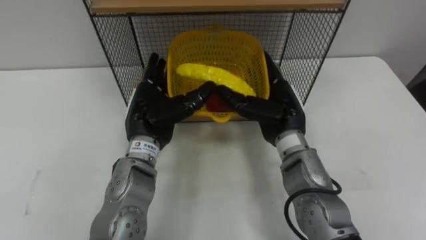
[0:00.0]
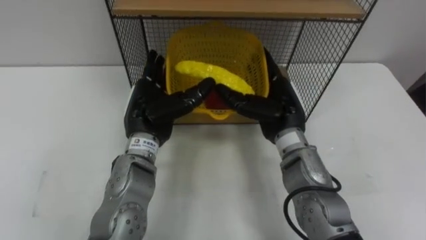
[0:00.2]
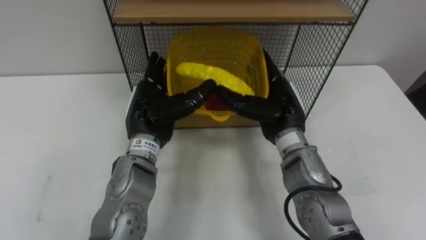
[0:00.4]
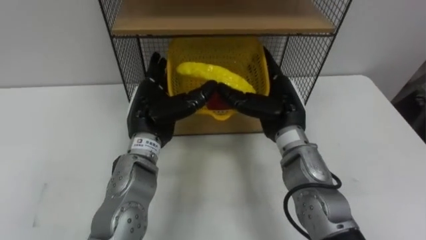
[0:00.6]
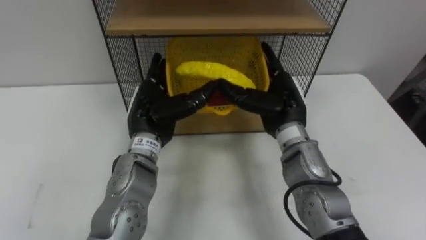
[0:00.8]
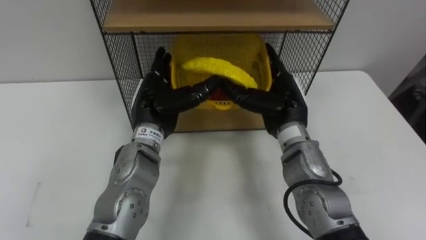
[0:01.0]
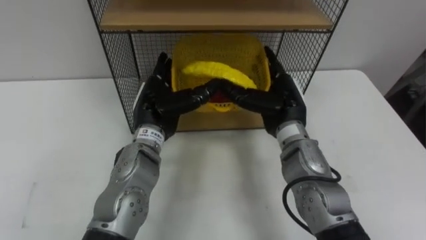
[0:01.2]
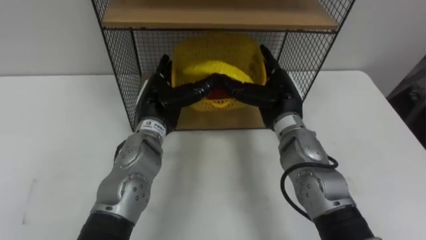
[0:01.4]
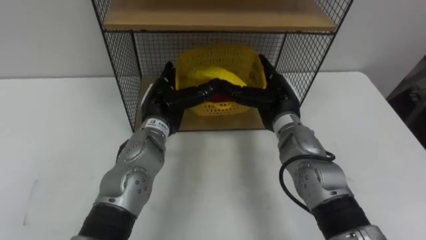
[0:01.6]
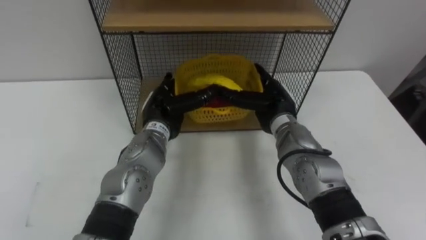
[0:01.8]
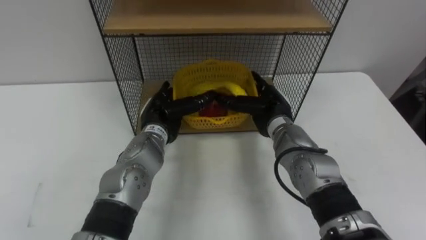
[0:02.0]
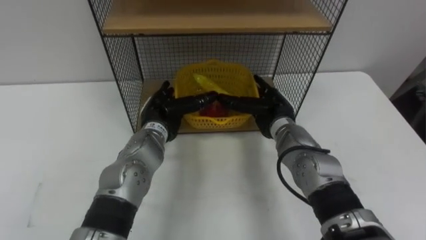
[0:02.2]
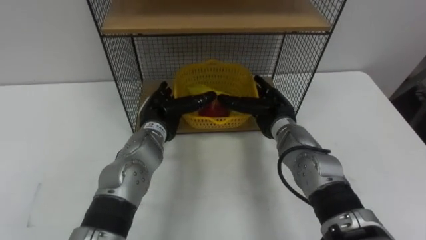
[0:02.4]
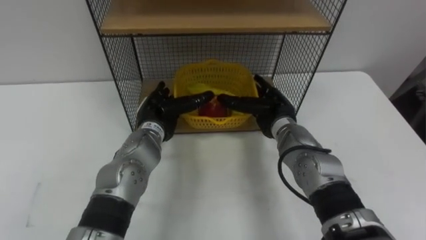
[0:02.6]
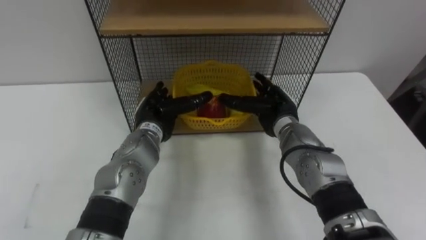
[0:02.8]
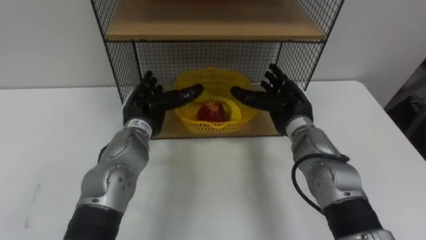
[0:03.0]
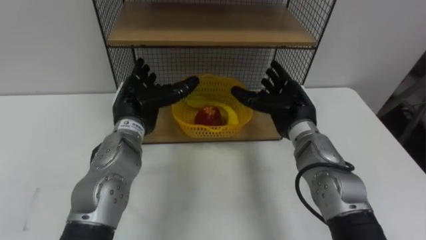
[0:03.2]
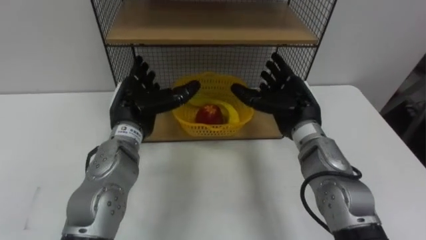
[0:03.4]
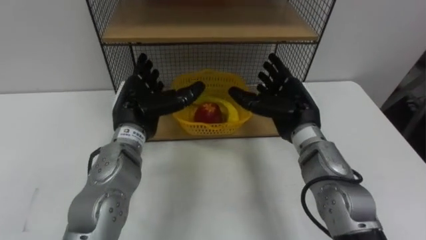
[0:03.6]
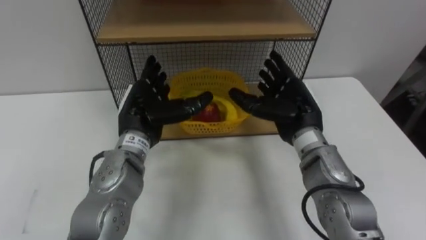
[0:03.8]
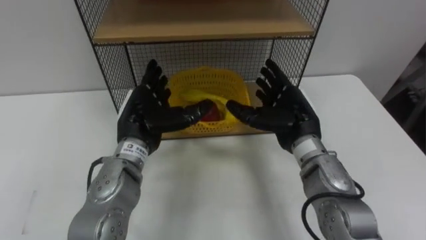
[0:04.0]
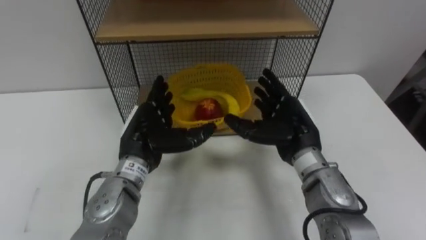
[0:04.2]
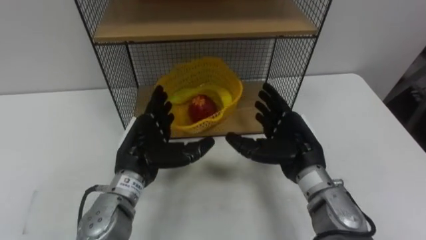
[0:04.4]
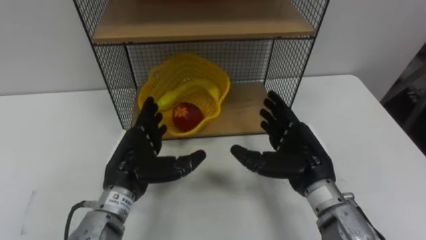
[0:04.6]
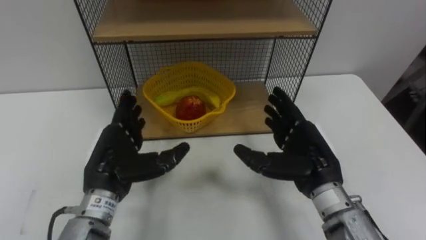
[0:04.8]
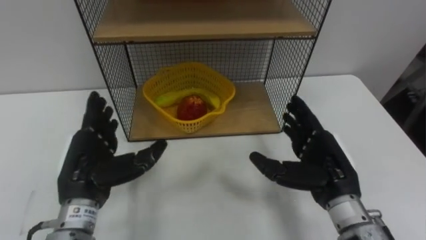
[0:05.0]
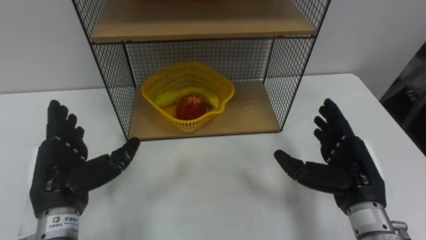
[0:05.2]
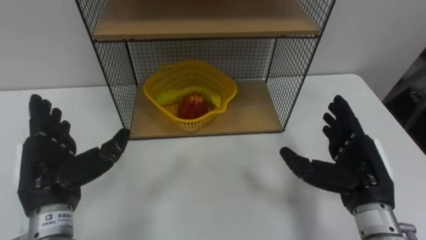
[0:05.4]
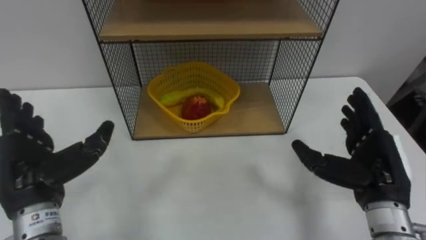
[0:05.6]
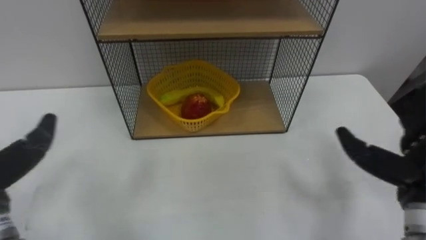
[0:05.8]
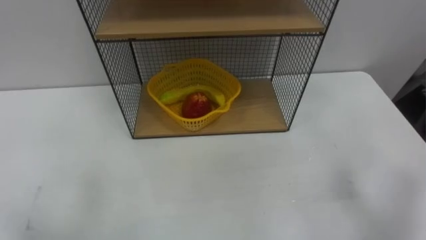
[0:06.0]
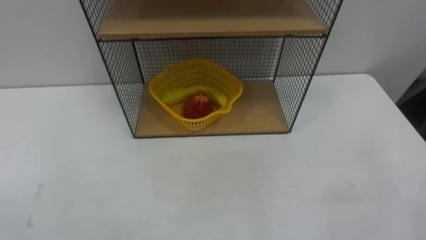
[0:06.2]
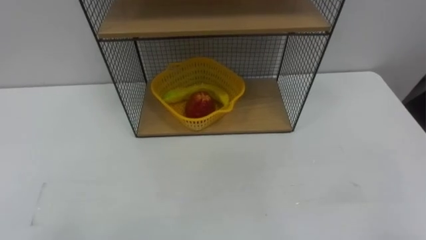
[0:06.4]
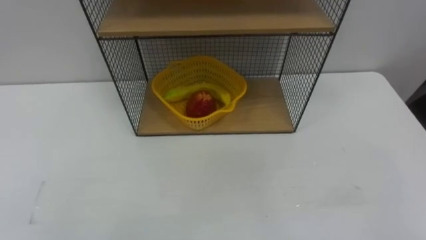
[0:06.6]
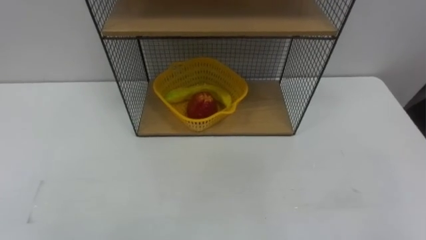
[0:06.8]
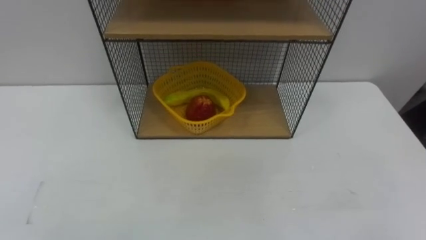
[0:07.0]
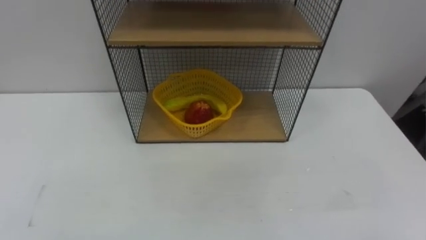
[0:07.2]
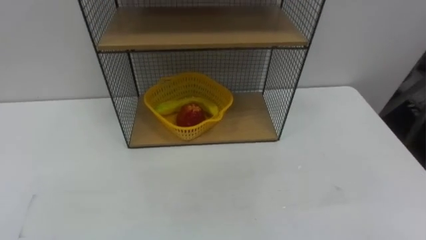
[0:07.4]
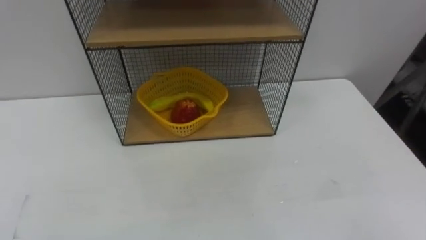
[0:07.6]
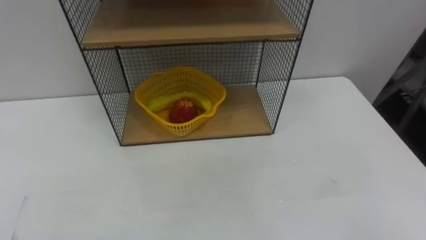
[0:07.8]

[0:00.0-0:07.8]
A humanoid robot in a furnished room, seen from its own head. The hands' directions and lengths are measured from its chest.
Task of the whole recording: Put the fruit on the table into the basket, then place the basket on the shelf.
0:00.0 to 0:01.6: The left hand ends up about 5 cm from where it was.
0:01.6 to 0:03.2: The left hand goes some 5 cm to the left.
0:03.2 to 0:04.6: Both hands move backward, roughly 10 cm.

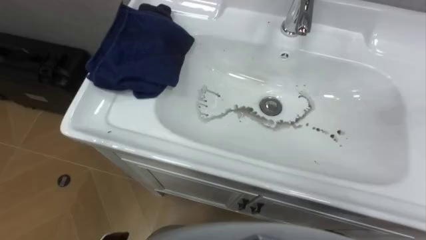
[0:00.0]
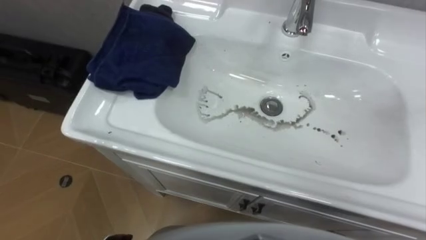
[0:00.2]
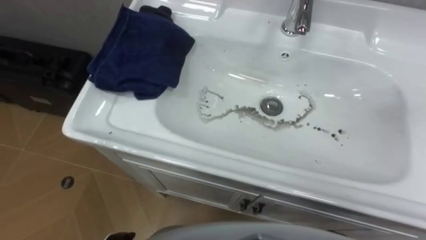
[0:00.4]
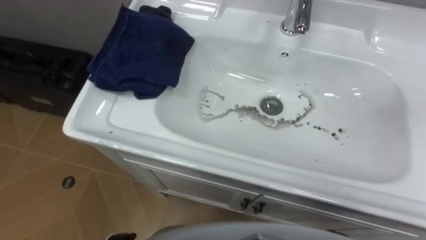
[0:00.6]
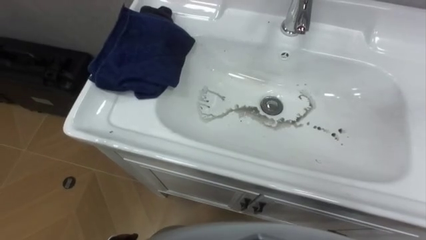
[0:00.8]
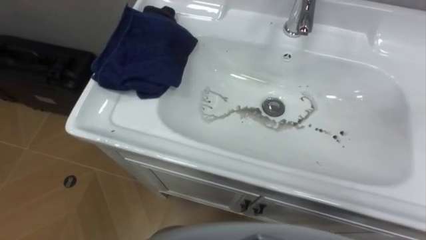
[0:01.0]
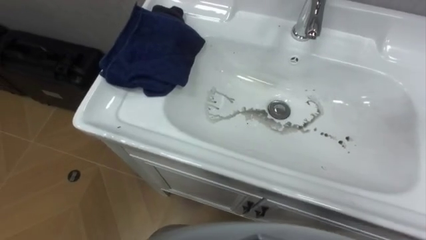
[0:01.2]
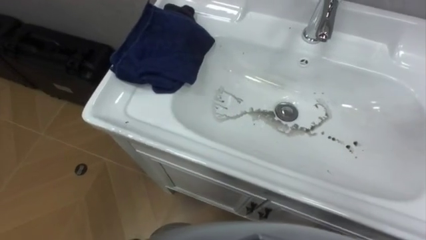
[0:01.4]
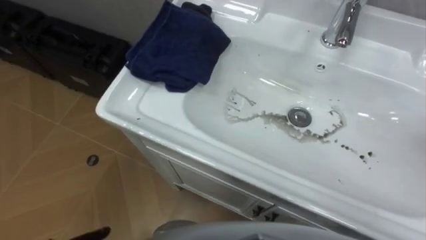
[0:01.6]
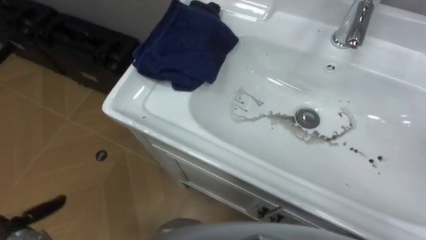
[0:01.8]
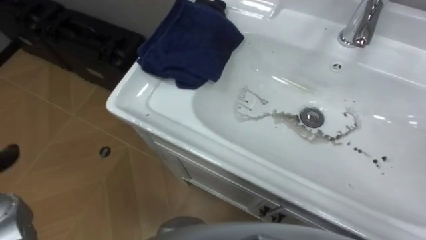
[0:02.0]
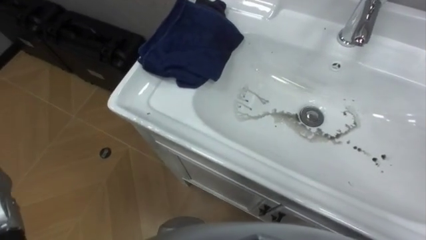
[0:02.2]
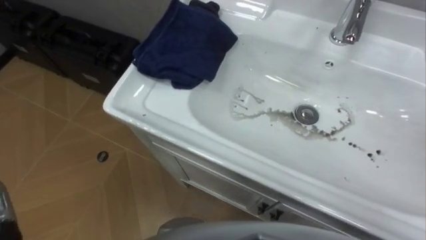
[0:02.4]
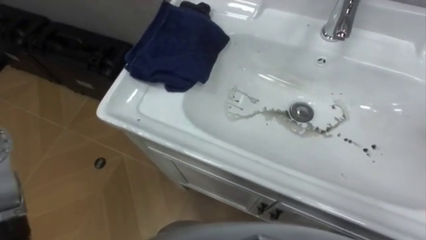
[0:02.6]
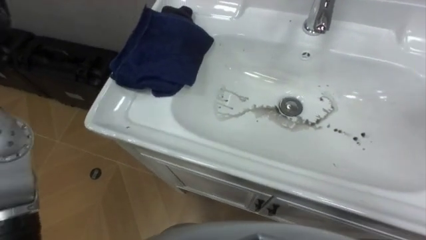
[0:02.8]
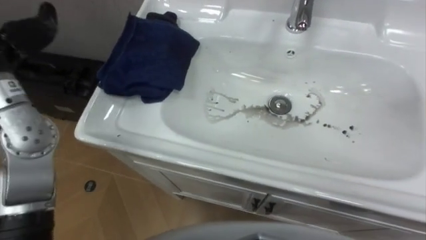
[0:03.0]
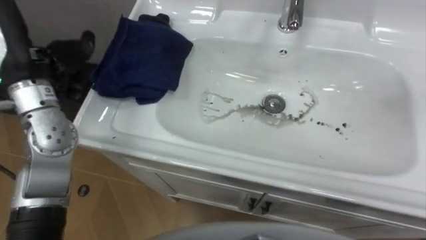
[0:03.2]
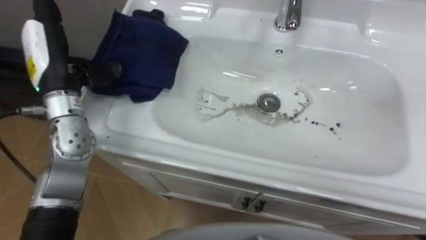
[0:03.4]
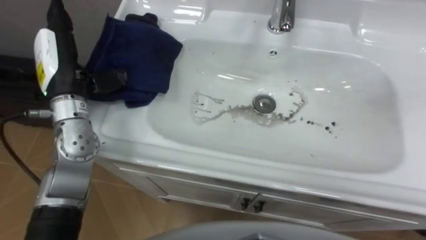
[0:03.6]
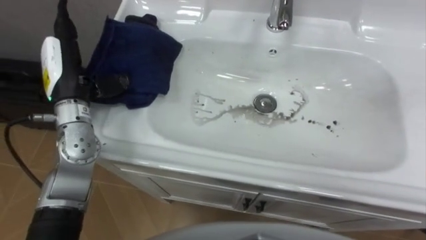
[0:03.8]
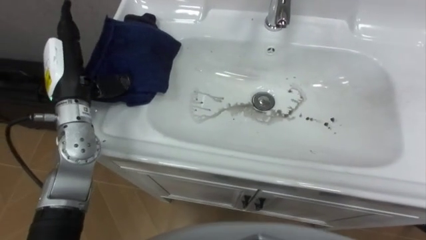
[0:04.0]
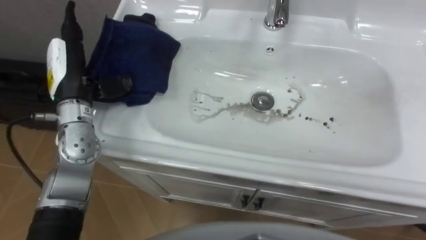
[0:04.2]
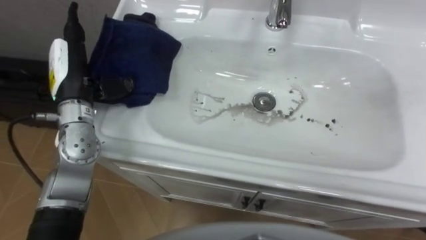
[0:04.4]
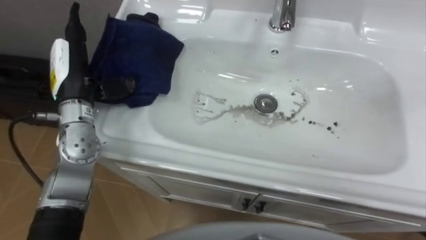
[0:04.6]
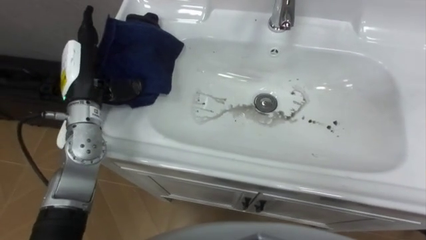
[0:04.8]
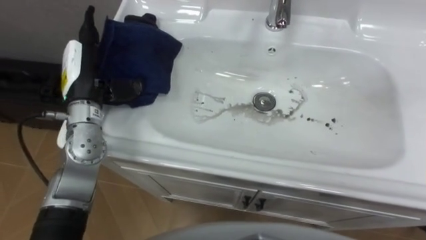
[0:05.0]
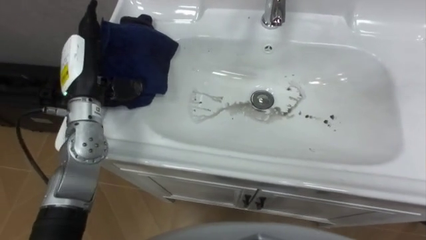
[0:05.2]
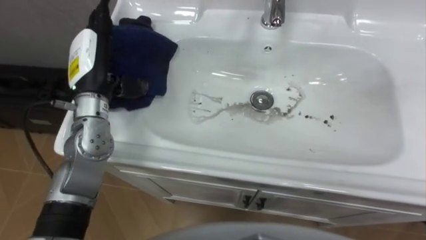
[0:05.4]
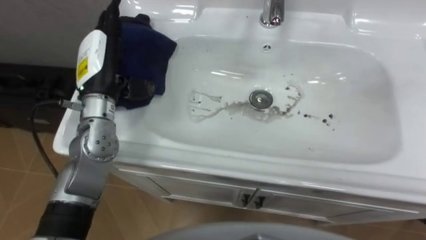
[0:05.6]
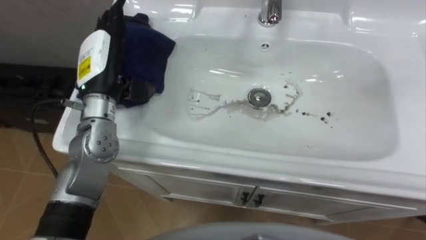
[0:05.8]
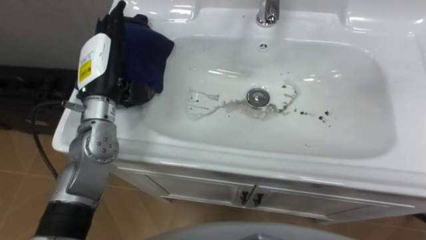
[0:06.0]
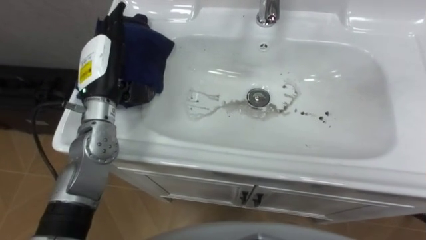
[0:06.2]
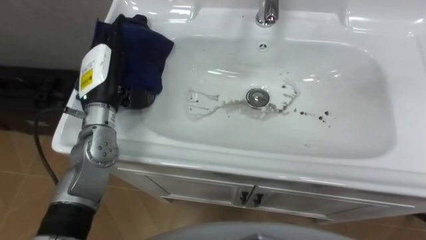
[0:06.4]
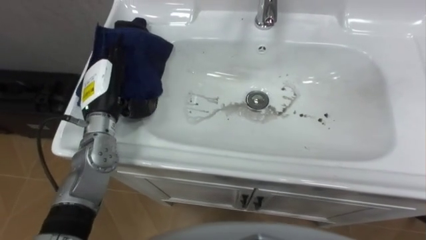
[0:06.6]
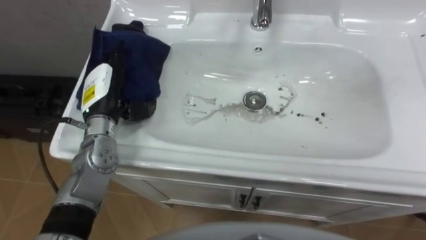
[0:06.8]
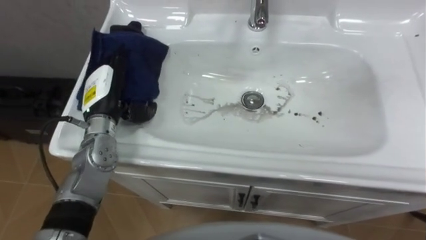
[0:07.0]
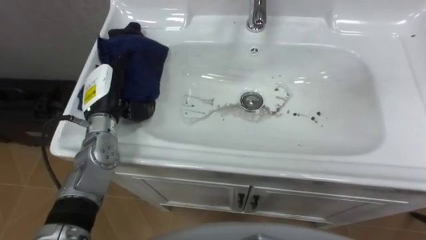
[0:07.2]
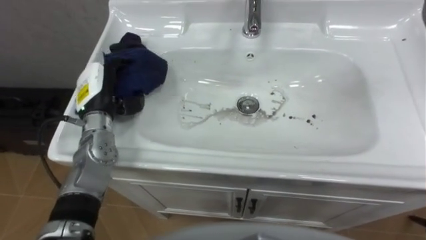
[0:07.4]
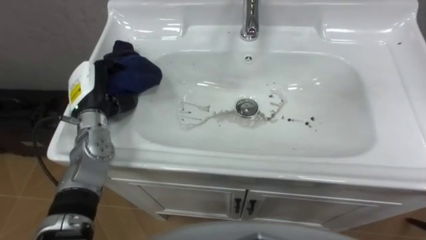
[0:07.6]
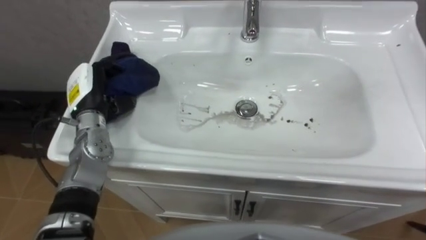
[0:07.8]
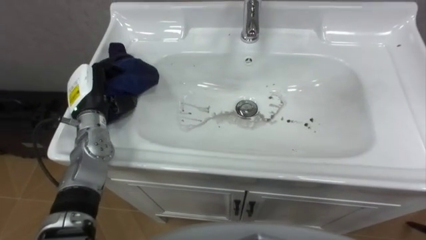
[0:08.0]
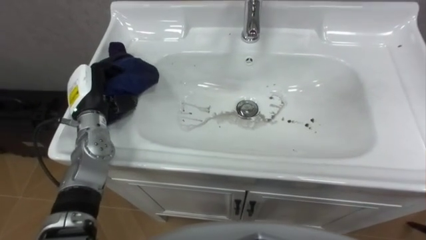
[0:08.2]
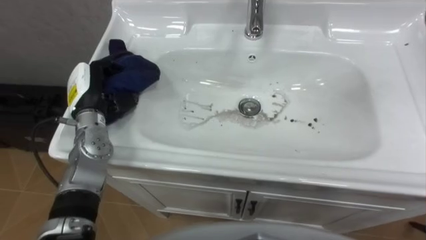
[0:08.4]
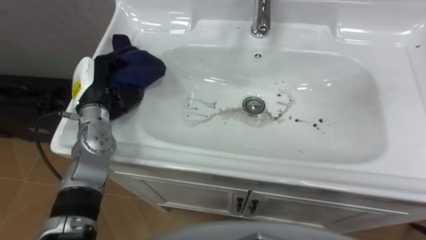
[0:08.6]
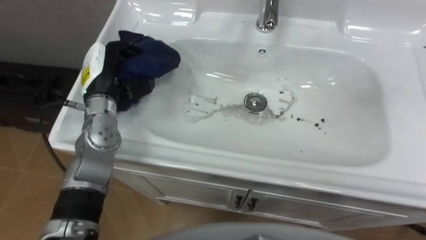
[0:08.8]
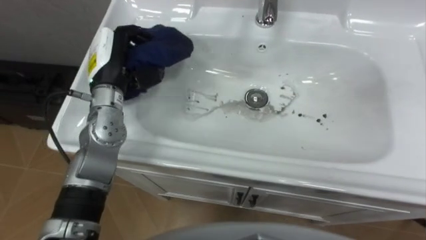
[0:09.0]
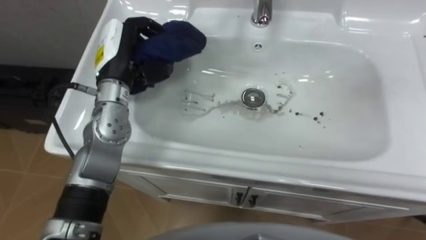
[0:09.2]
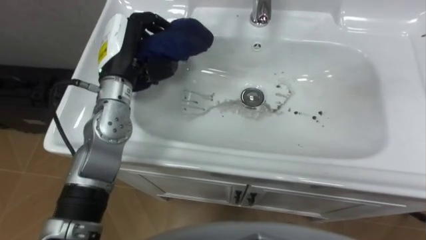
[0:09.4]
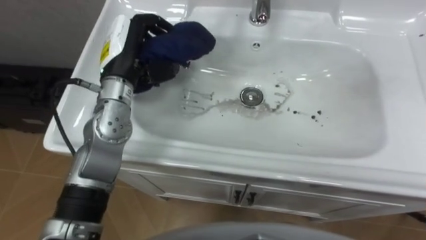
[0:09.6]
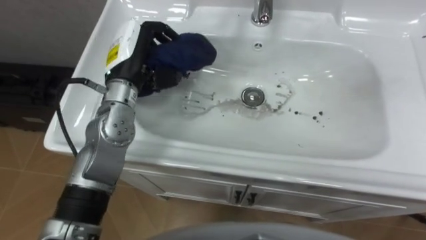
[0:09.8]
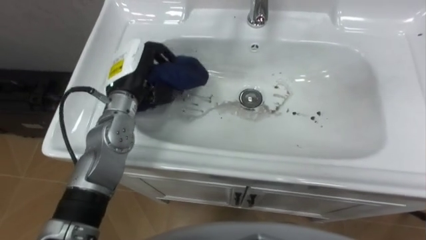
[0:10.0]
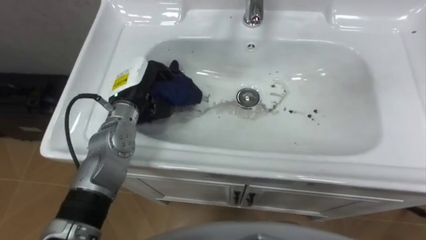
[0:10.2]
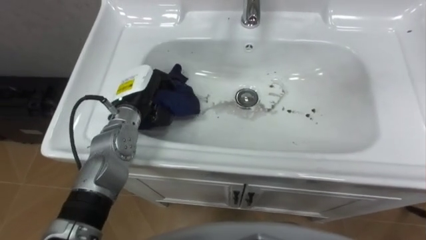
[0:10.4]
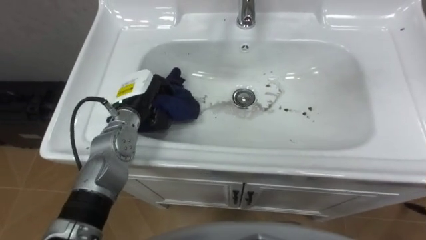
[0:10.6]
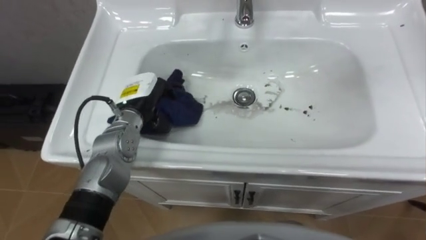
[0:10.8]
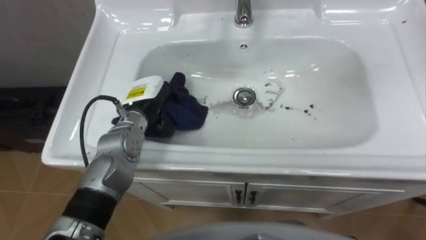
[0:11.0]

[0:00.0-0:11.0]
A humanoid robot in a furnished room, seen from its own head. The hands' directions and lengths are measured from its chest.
Task of the whole recording: Use the cloth on the right to wipe away the black stain in the sink.
0:03.2 to 0:04.8: The left hand shifts about 10 cm downward.
0:06.2 to 0:07.8: The left hand travels downward and to the left by some 10 cm, and closes.
0:07.8 to 0:09.4: The left hand is displaced upward and to the right by about 15 cm.
0:09.4 to 0:11.0: The left hand shifts some 10 cm downward.
